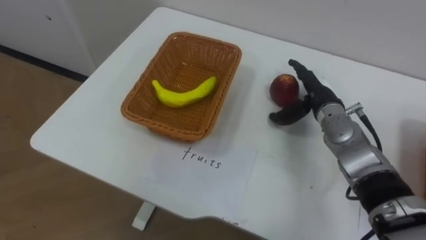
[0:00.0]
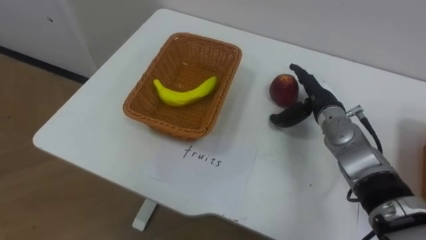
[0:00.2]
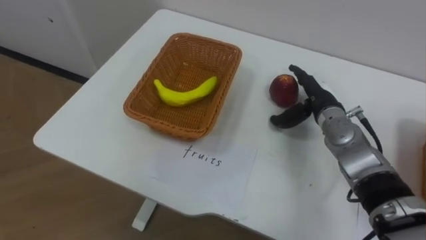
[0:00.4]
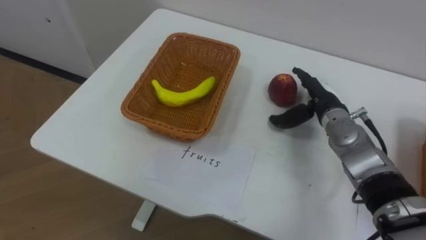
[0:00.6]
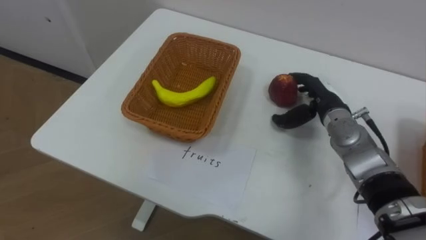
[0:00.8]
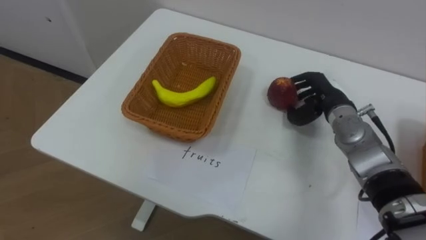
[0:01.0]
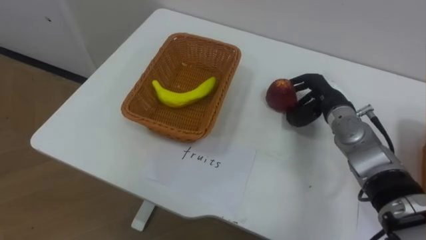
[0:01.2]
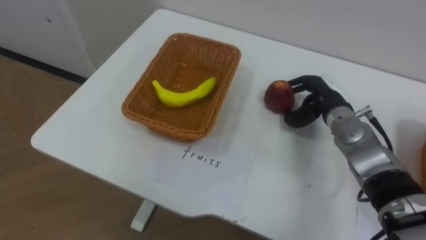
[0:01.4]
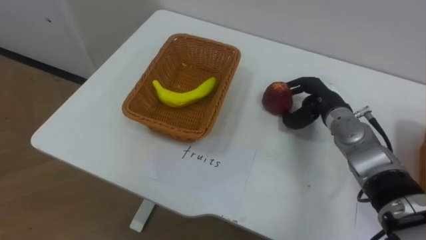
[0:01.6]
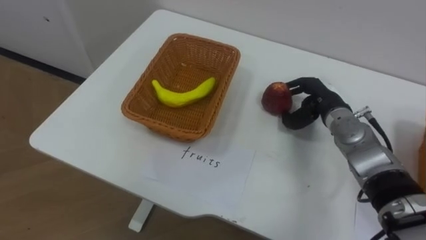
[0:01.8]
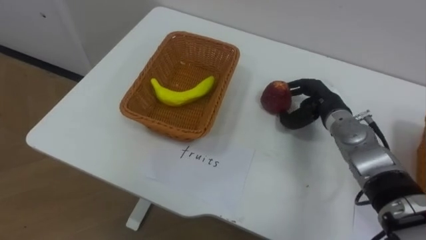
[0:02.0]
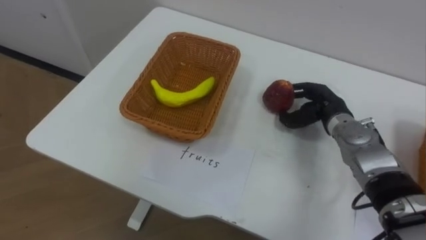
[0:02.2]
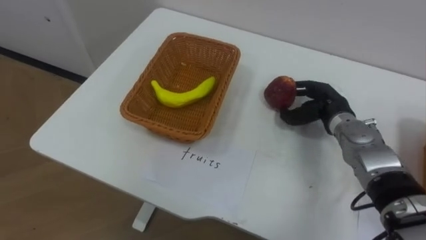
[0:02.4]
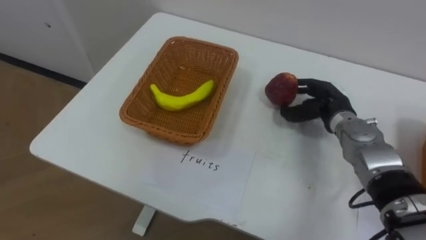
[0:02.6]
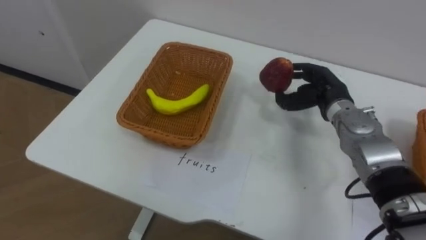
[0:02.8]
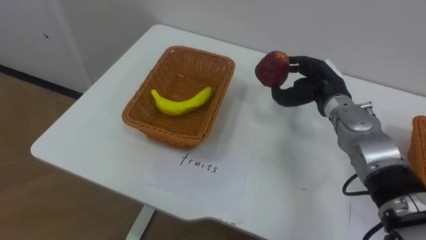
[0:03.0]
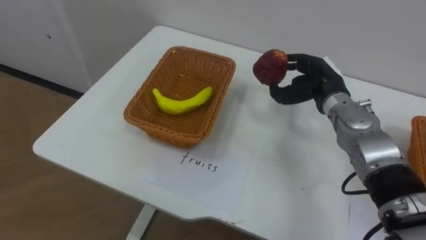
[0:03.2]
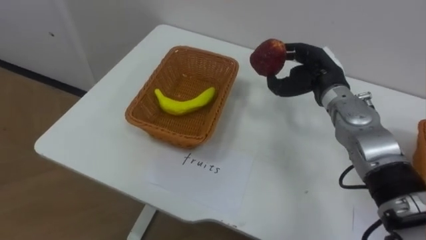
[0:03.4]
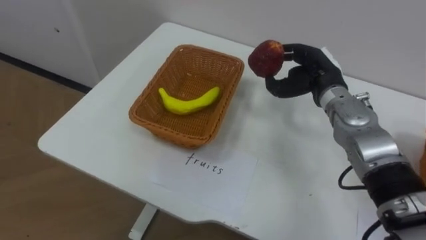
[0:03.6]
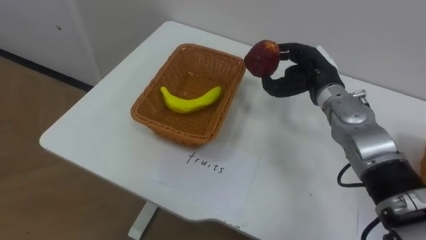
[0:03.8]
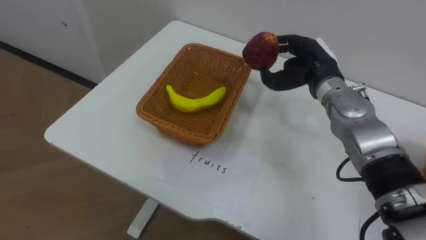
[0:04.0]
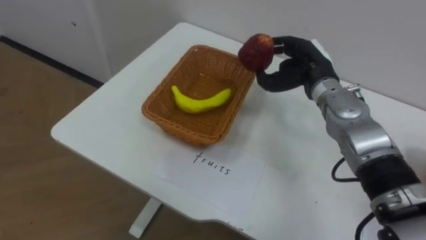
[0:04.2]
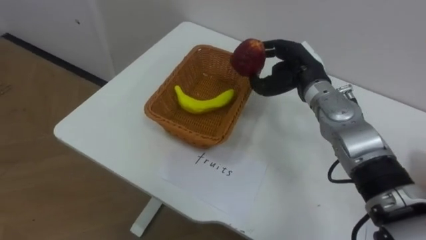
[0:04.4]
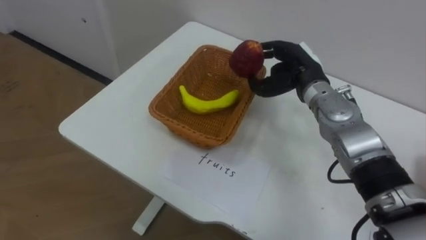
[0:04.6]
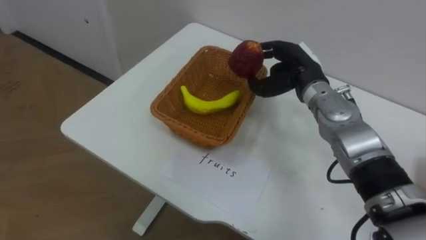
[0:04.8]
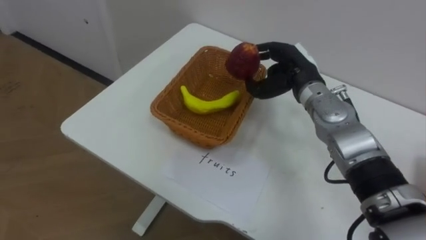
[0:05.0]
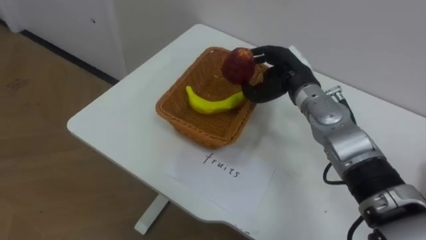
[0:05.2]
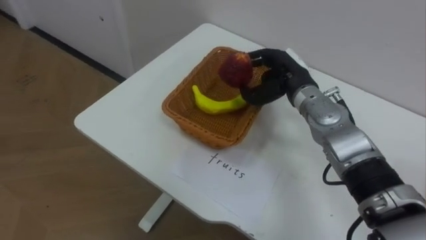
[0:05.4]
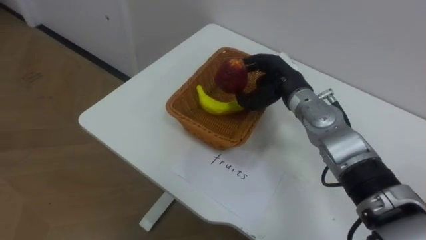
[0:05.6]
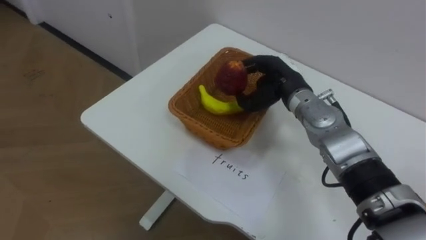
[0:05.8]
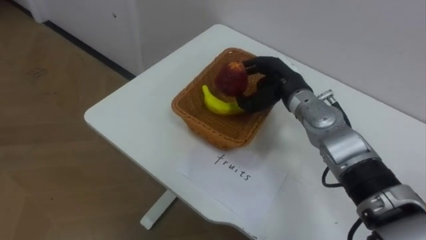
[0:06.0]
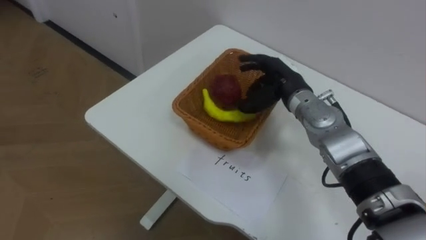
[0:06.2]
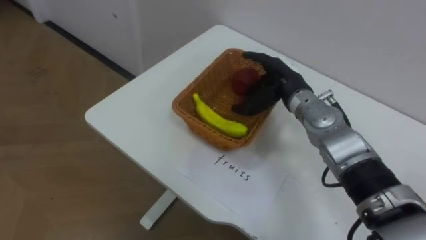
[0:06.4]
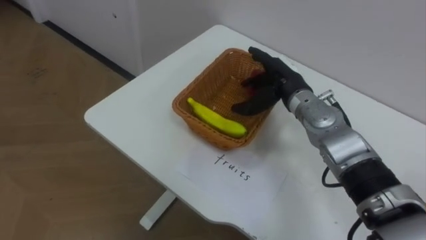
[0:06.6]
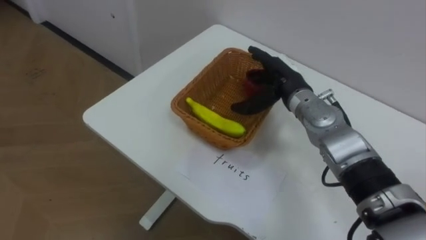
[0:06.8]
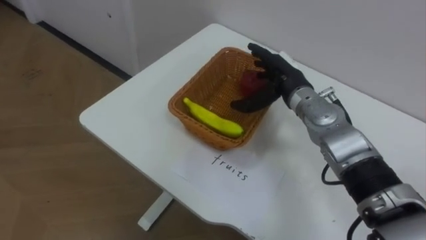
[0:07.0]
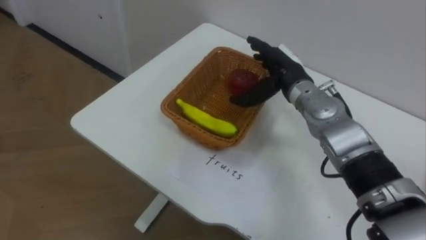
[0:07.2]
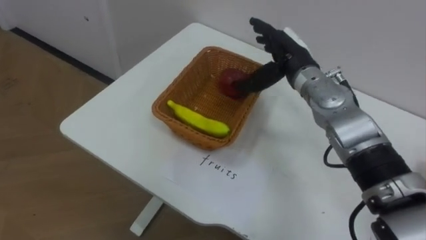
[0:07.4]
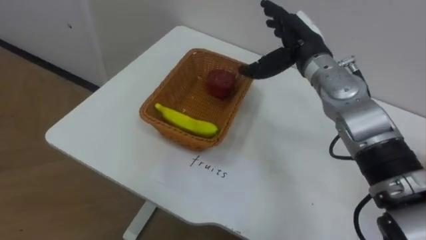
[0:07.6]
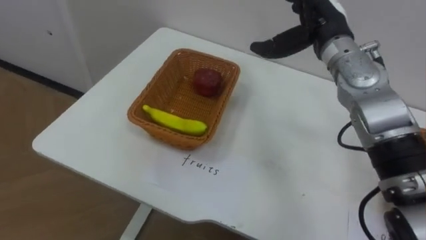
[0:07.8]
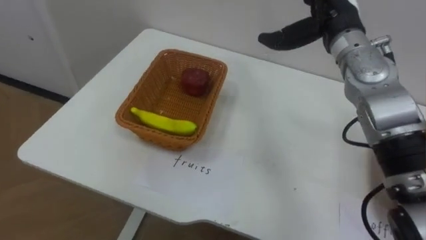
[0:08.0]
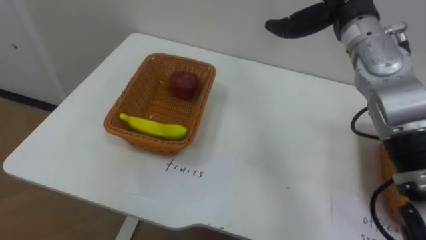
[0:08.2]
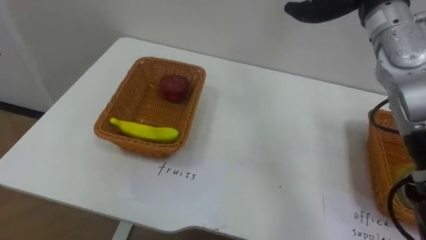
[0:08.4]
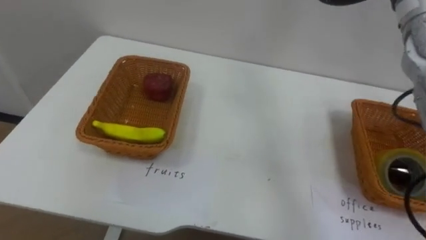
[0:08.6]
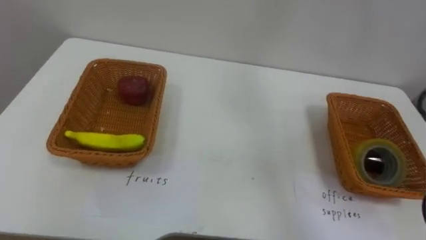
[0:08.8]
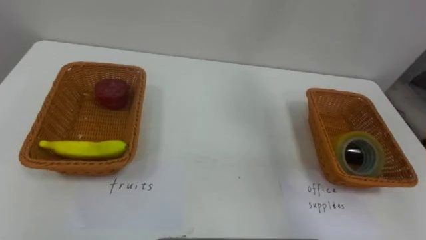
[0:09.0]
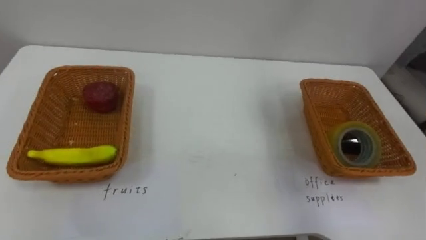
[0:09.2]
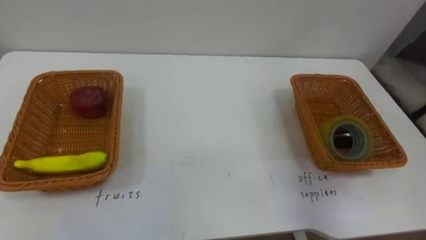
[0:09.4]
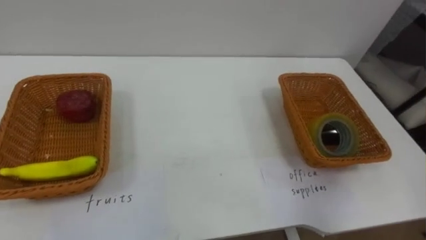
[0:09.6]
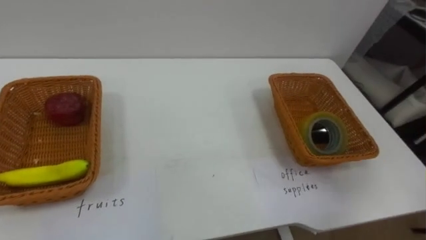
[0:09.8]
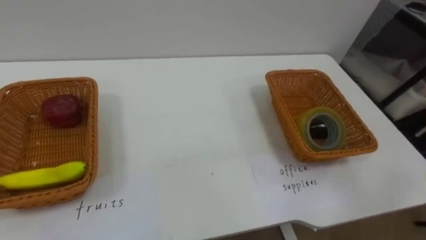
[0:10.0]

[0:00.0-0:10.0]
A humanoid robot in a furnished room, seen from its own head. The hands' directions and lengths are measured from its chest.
Task of the whole recording: Separate the items on the table and place them into the two baskets.
0:00.0 to 0:01.4: The right hand closes its fingers.
0:02.8 to 0:04.2: The right hand shifts approximately 5 cm upward.
0:04.2 to 0:05.8: The right hand shifts by about 5 cm.
0:05.8 to 0:07.2: The right hand opens up.

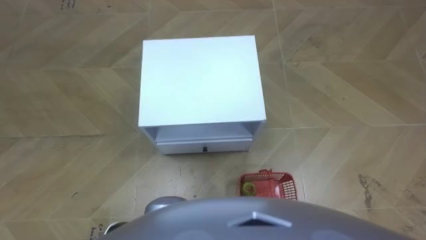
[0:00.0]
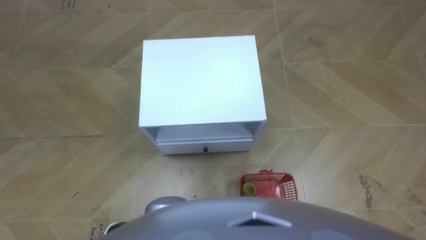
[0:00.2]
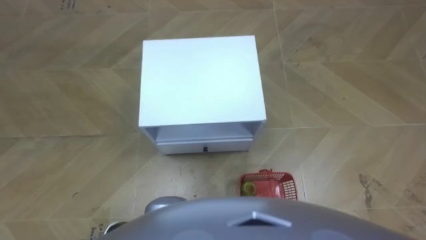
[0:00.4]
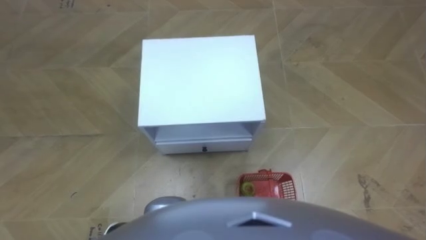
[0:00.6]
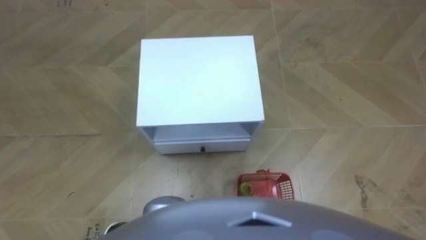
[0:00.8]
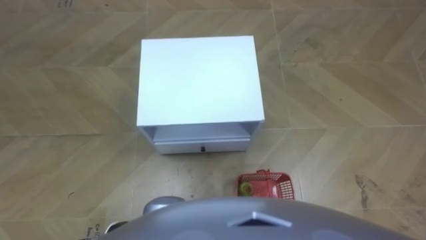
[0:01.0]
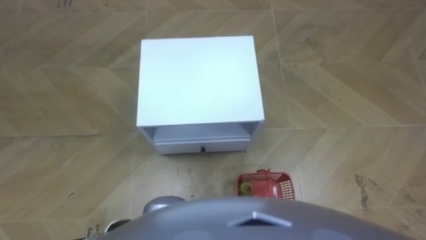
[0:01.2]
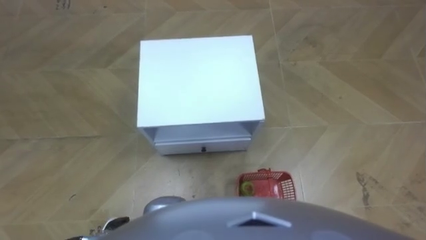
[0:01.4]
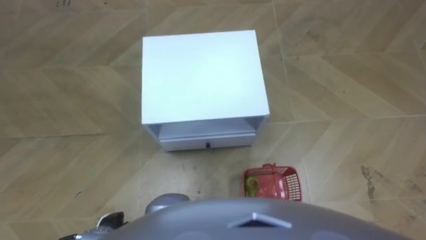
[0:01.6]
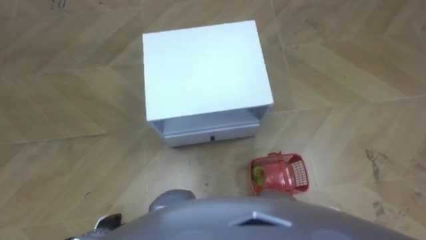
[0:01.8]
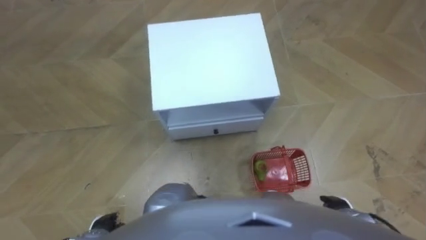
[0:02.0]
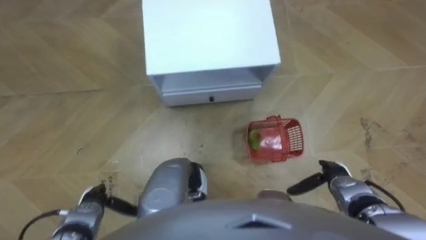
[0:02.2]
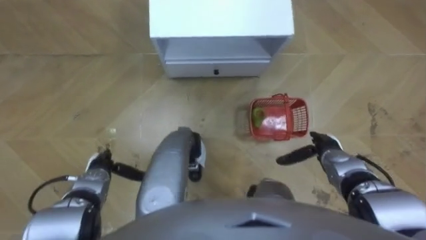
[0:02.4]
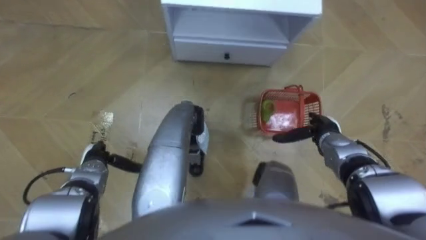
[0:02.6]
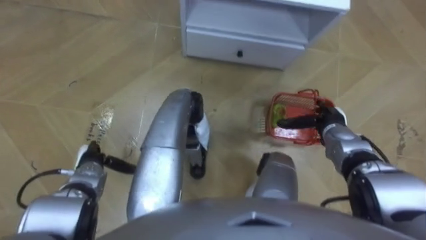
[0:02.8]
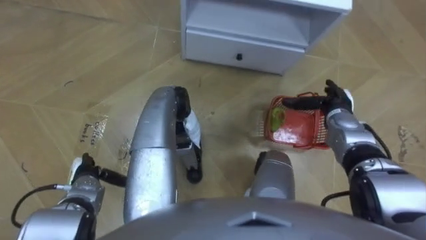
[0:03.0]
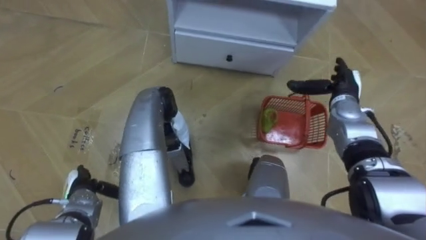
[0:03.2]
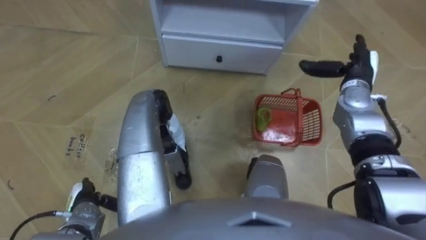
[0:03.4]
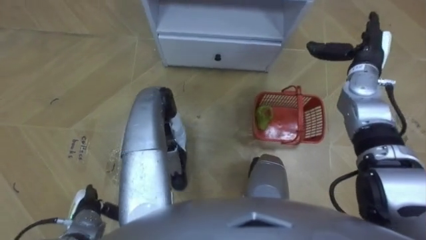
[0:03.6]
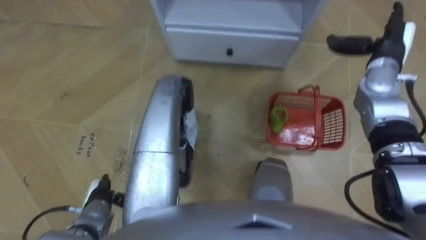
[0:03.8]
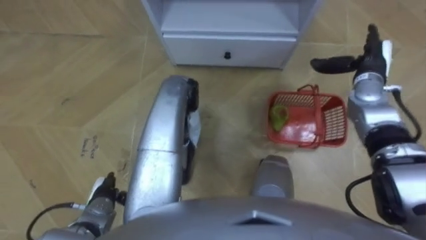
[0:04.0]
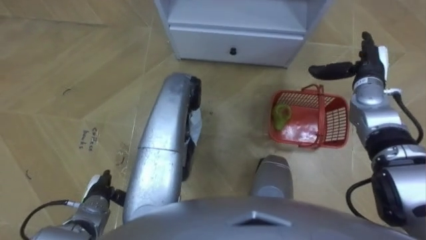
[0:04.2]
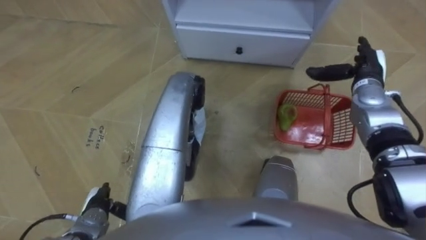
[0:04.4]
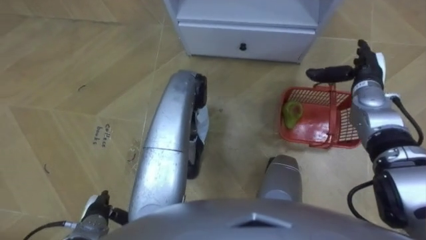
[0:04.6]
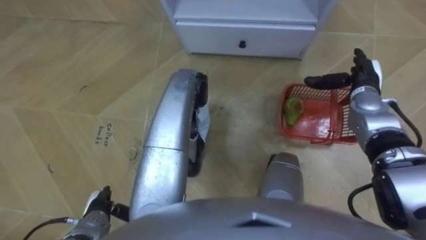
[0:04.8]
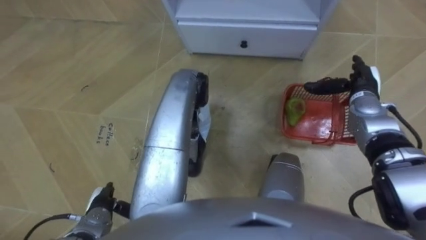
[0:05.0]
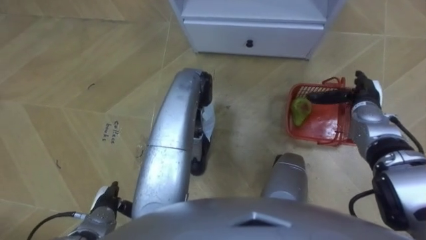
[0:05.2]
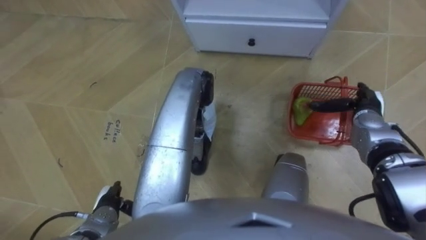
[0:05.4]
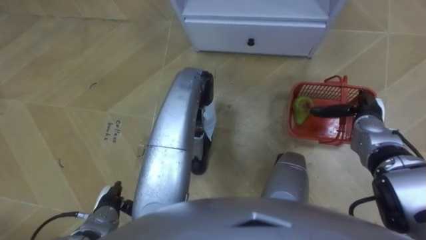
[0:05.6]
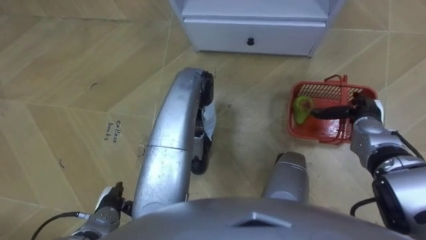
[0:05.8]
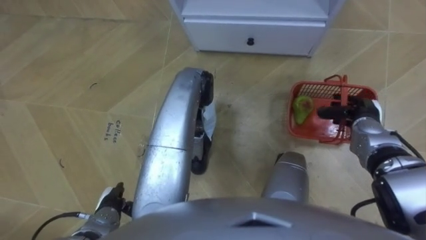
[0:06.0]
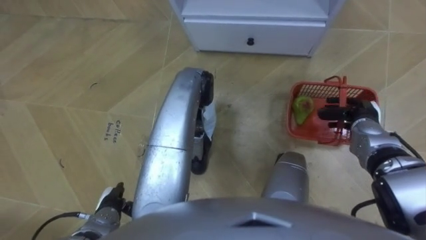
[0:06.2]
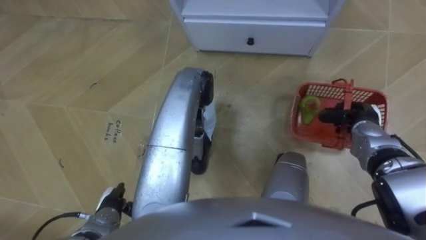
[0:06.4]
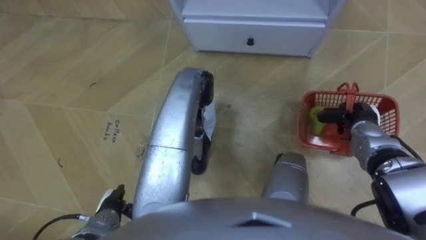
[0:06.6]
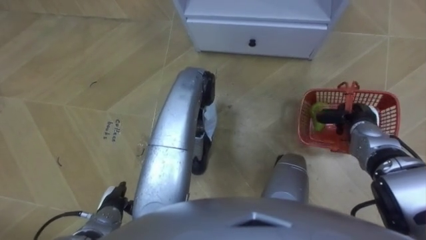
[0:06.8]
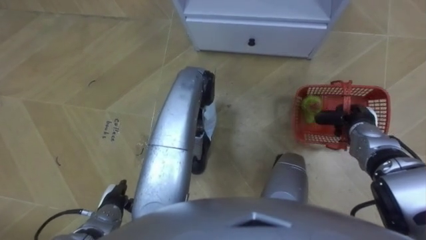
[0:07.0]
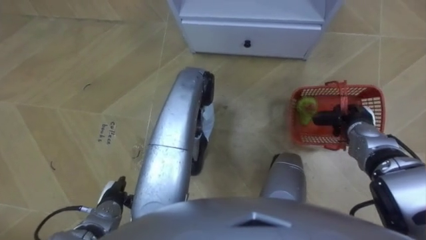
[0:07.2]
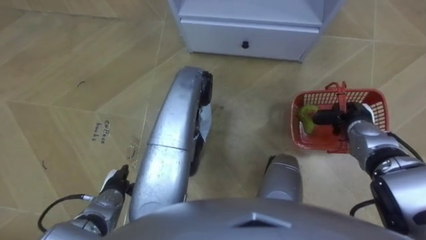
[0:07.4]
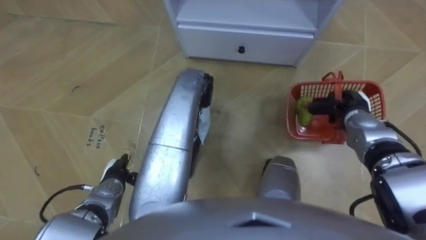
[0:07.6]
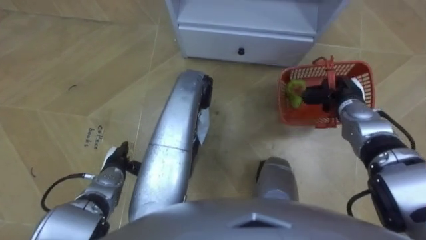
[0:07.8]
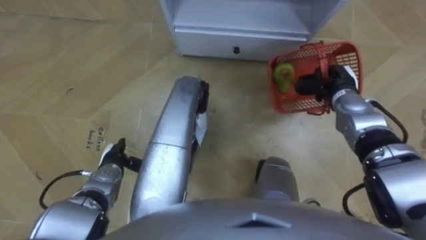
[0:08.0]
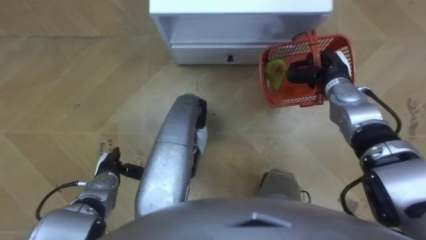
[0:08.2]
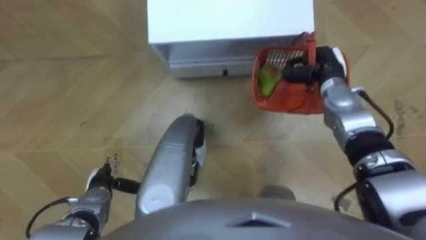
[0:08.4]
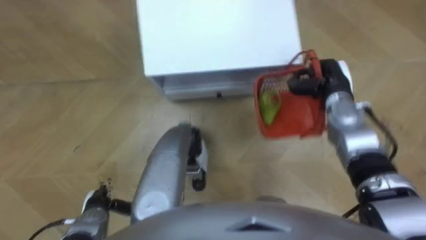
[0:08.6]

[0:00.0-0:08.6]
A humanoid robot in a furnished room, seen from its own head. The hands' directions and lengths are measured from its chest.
Task of the whole recording: Pick up the fruit basket from the floor and place it on the cabinet.
0:01.4 to 0:02.8: Both hands travel together forward, about 20 cm.
0:02.8 to 0:04.4: The left hand moves backward, some 10 cm; the right hand goes roughly 15 cm upward, forward and to the right.
0:04.4 to 0:05.8: The right hand goes roughly 10 cm backward and downward.
0:05.8 to 0:07.2: The right hand closes up.
0:07.2 to 0:08.6: The left hand goes forward and returns, about 10 cm each way. The right hand heads to the left, forward and upward, covering roughly 10 cm.
